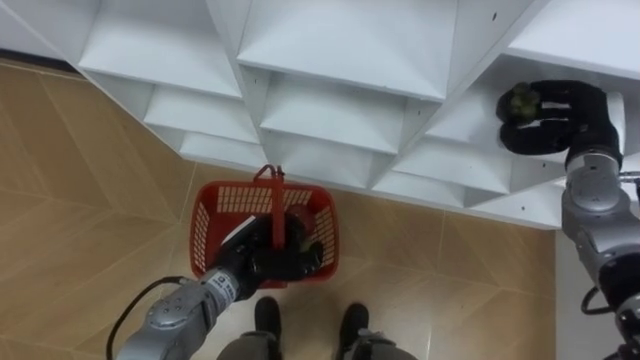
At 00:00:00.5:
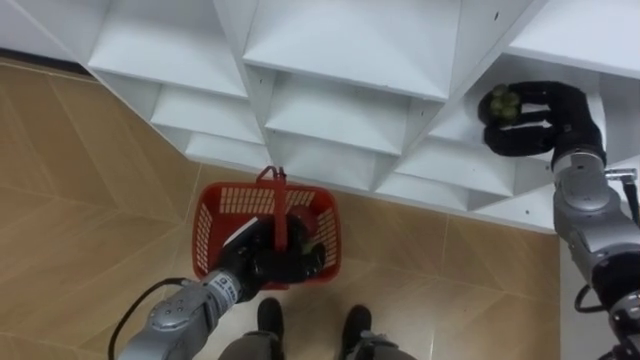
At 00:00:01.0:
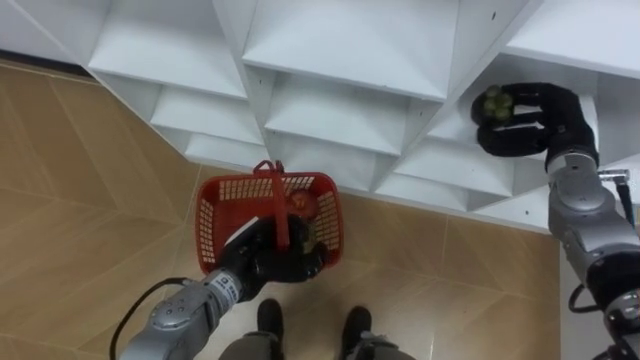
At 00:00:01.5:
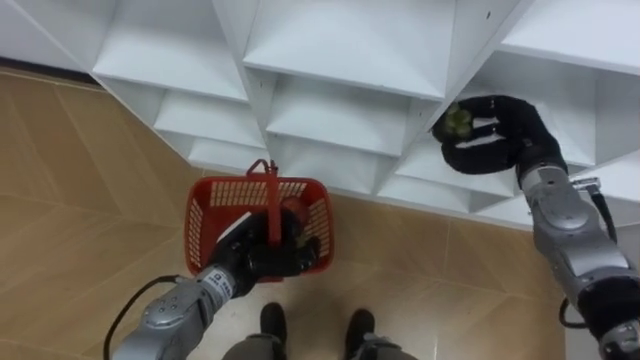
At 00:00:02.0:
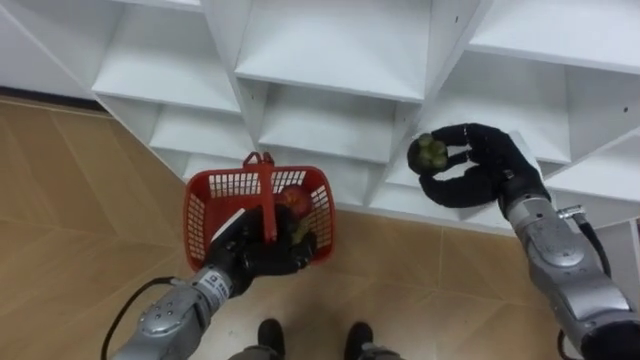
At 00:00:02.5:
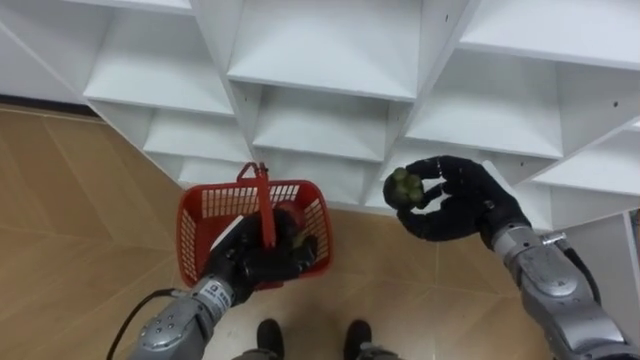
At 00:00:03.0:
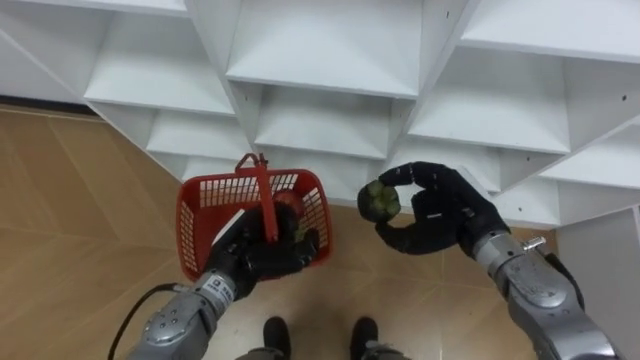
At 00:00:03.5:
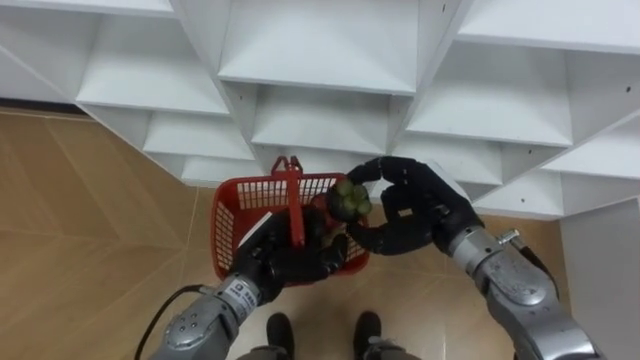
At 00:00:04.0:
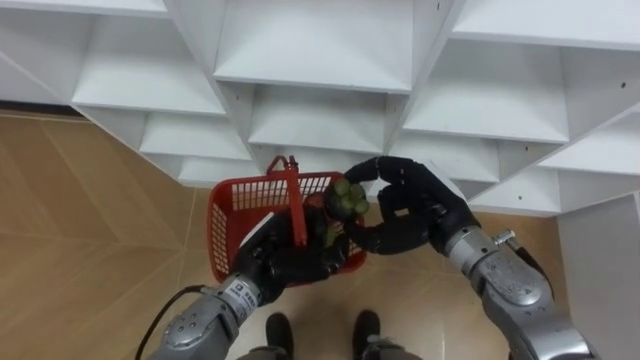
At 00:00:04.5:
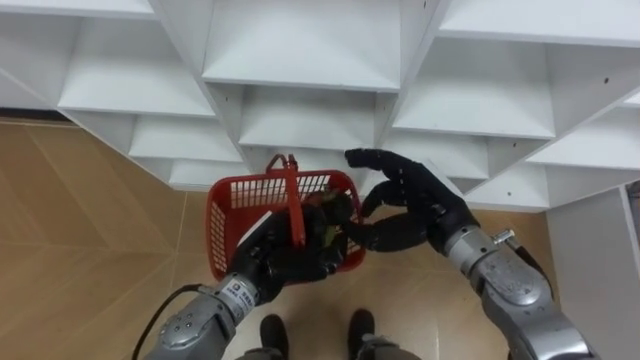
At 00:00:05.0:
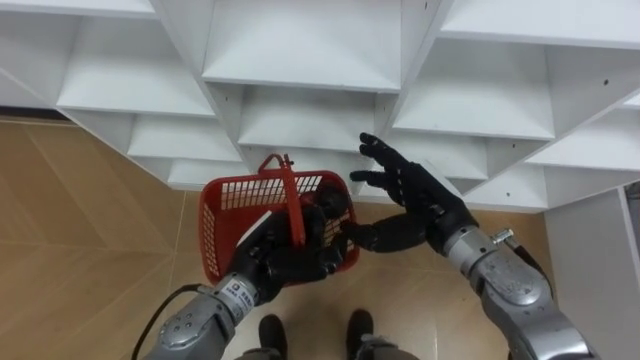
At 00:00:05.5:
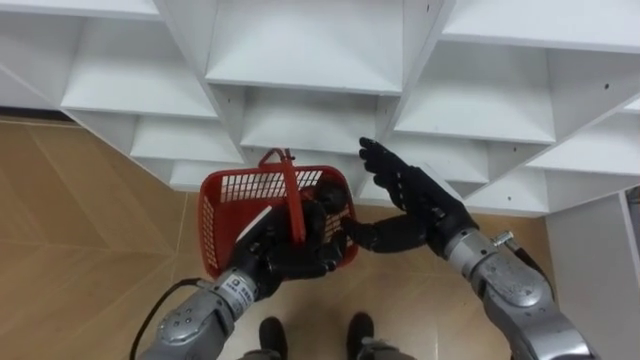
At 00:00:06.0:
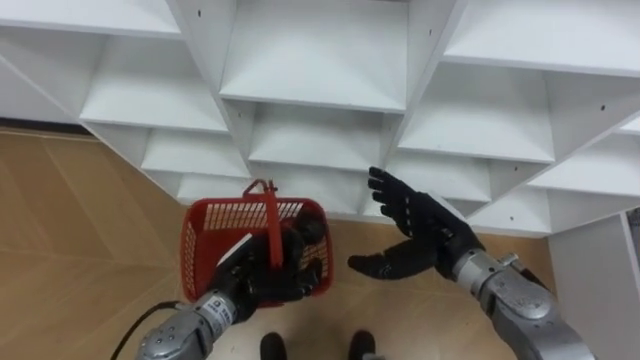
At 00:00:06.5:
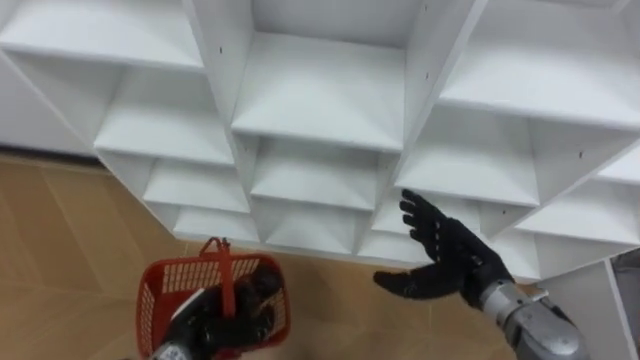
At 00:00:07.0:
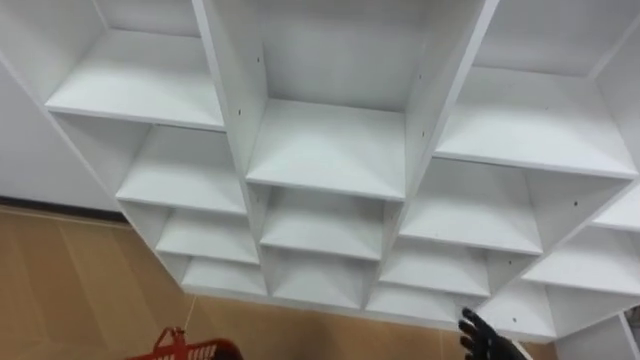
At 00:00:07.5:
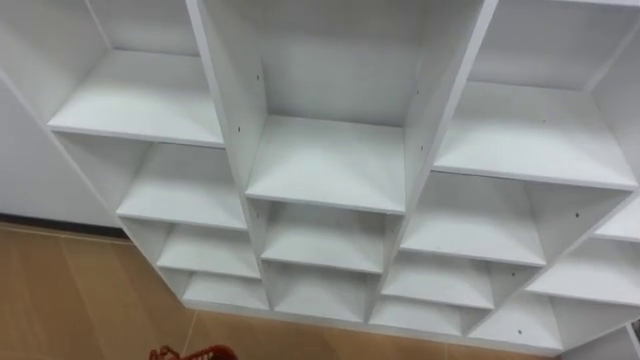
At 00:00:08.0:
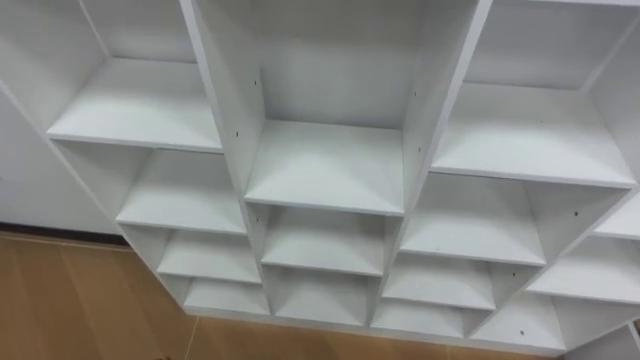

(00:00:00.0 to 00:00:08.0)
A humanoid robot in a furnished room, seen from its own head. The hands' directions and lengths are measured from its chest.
Task of the whole recording: Hold the basket and collect the fruits from 3 different cells of the closet into it.
00:00:00.0 - 00:00:02.0: The right hand heads to the left, covering roughly 10 cm.
00:00:02.0 - 00:00:04.0: The right hand heads to the left, covering about 10 cm; the left hand moves about 5 cm.
00:00:04.0 - 00:00:06.0: The right hand opens.

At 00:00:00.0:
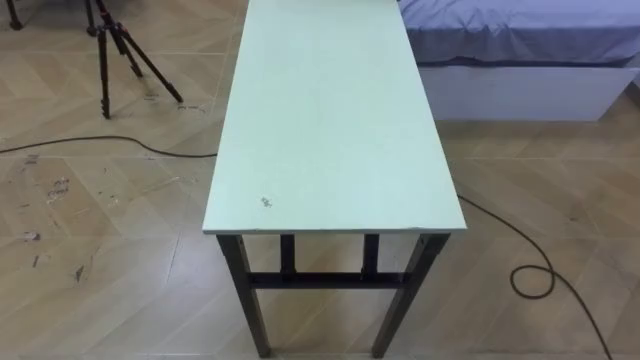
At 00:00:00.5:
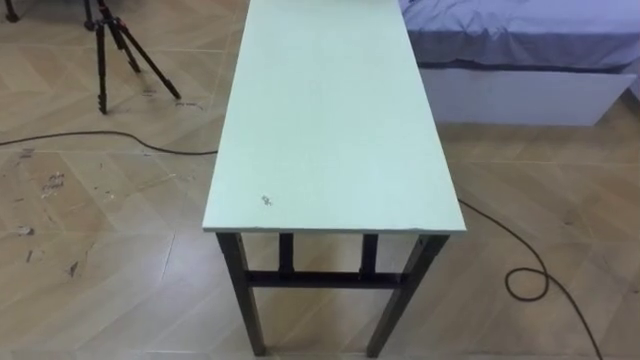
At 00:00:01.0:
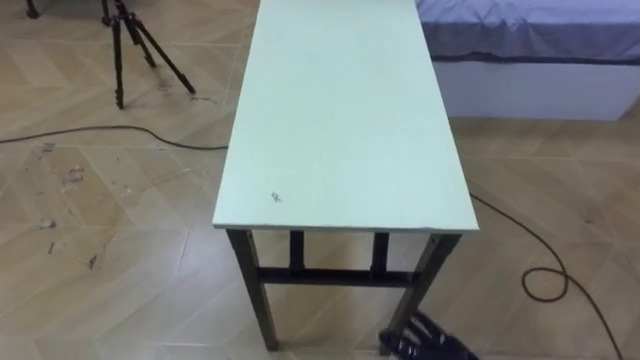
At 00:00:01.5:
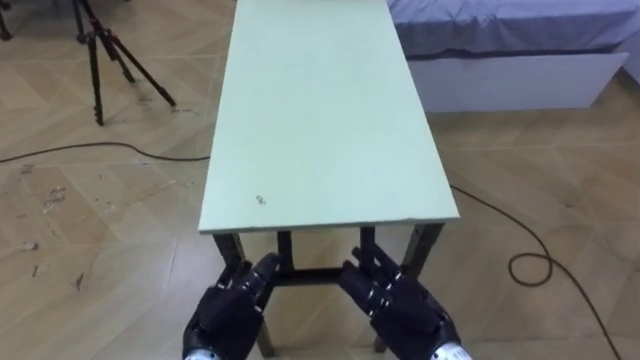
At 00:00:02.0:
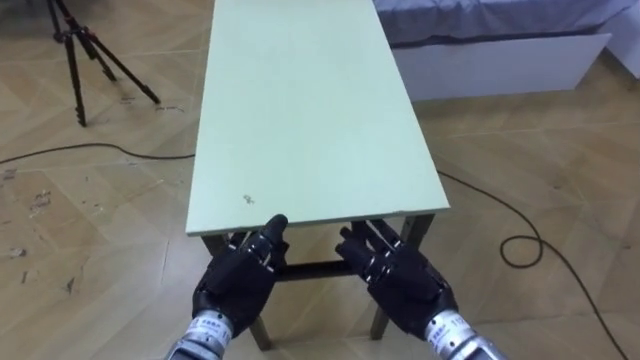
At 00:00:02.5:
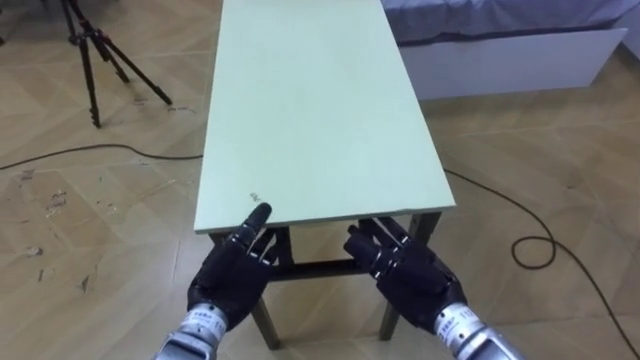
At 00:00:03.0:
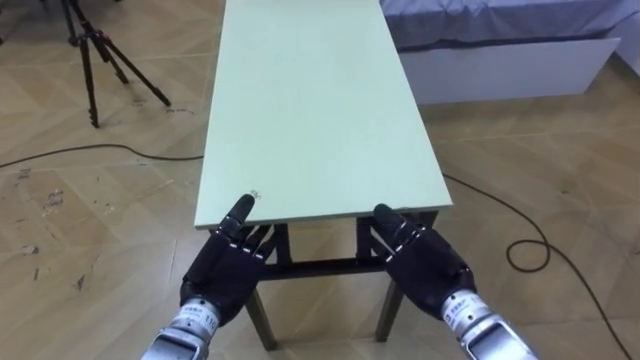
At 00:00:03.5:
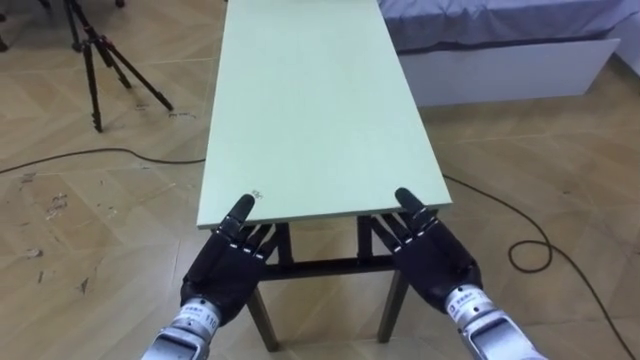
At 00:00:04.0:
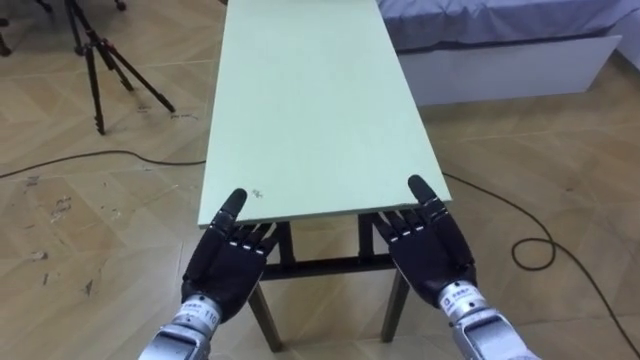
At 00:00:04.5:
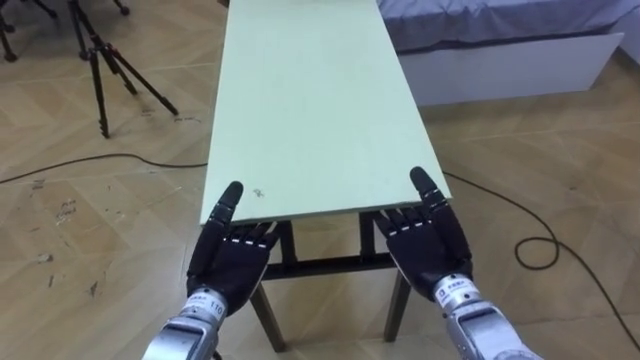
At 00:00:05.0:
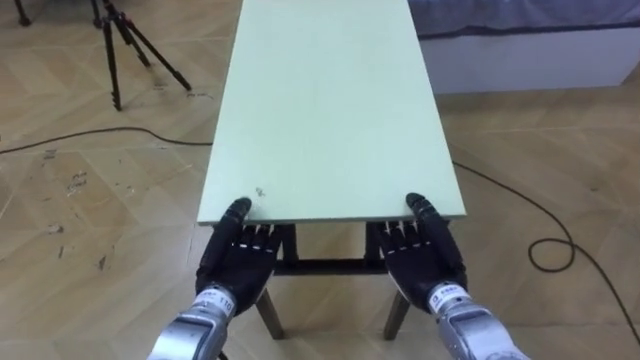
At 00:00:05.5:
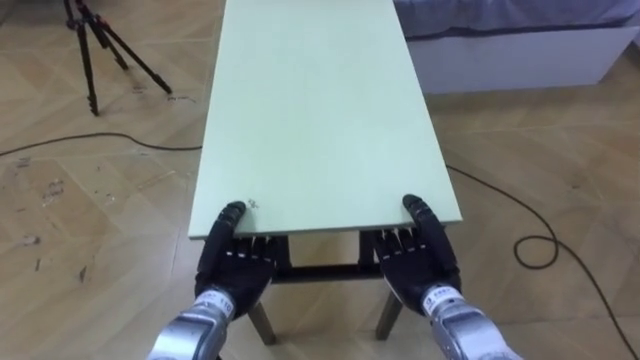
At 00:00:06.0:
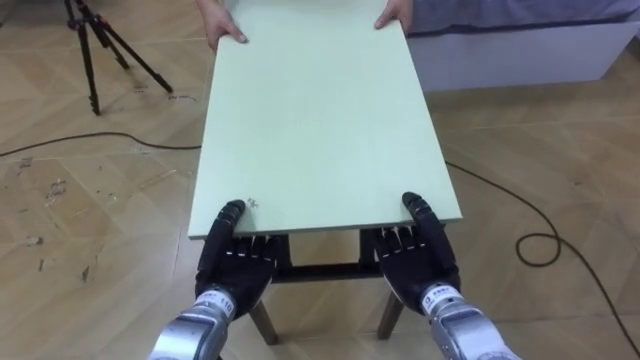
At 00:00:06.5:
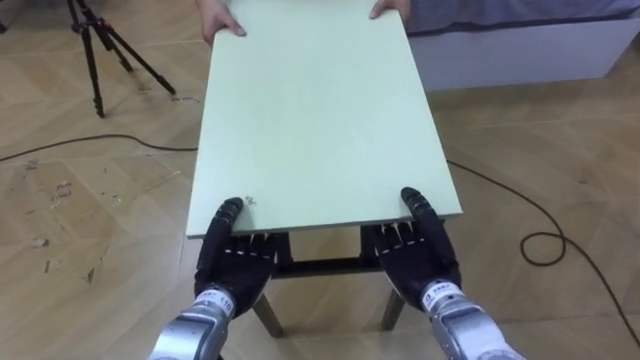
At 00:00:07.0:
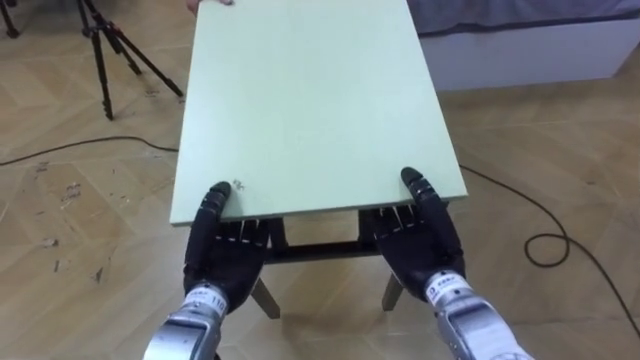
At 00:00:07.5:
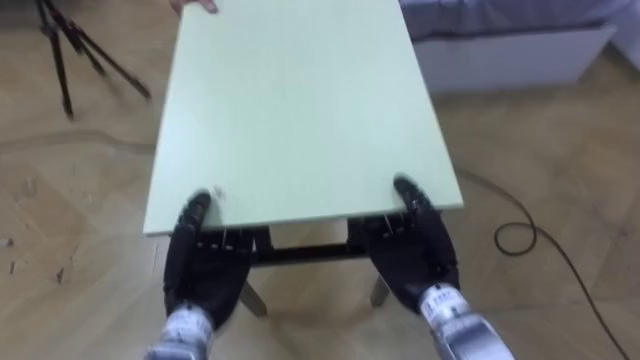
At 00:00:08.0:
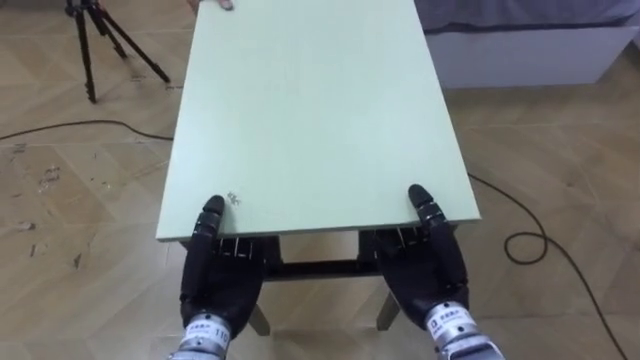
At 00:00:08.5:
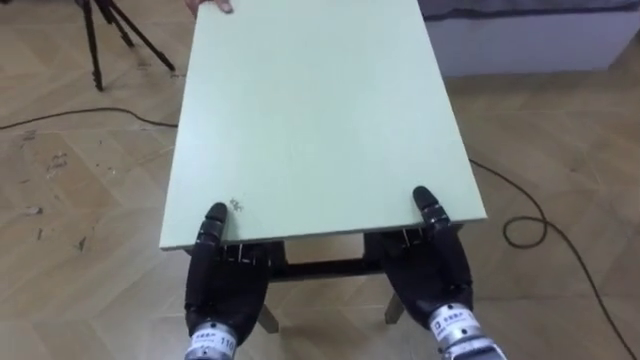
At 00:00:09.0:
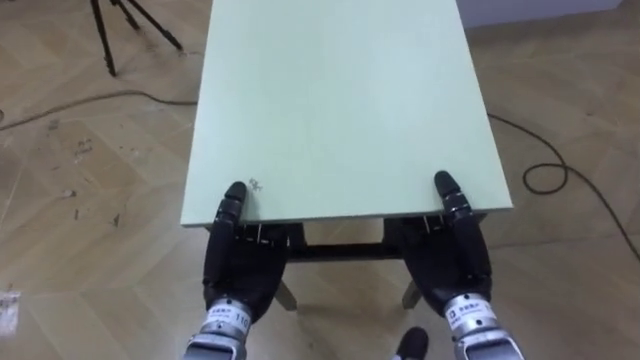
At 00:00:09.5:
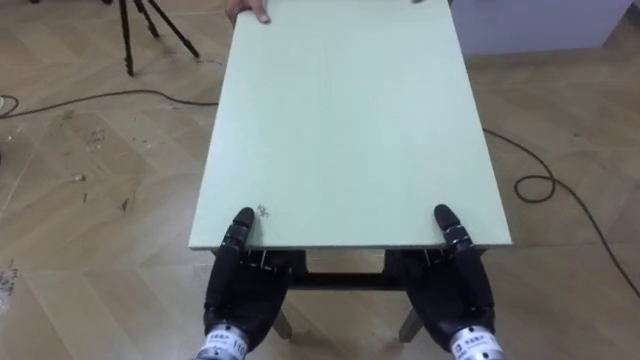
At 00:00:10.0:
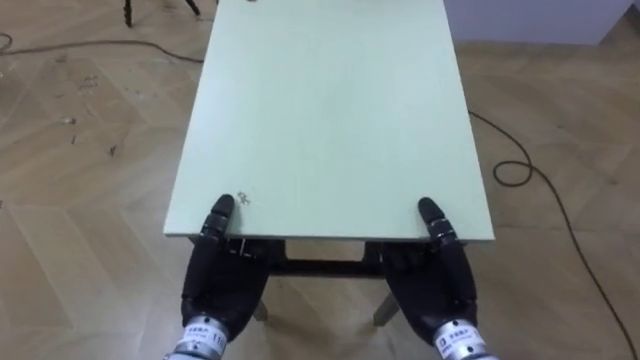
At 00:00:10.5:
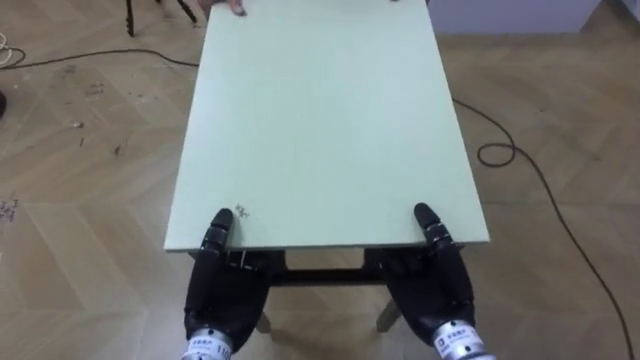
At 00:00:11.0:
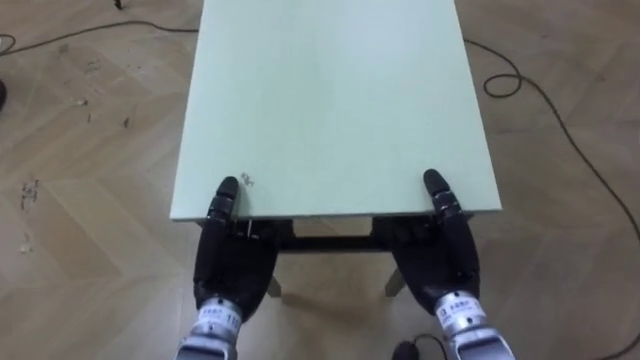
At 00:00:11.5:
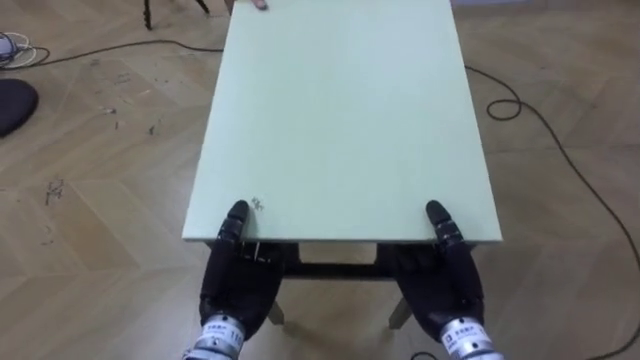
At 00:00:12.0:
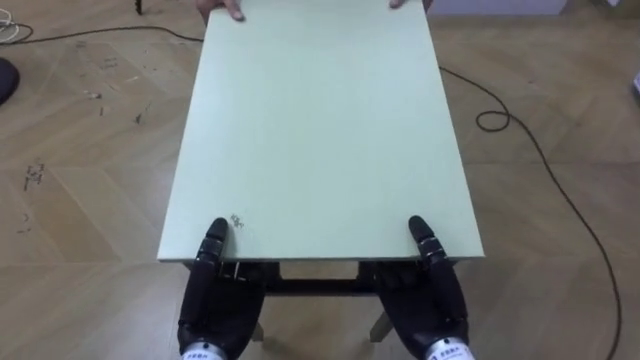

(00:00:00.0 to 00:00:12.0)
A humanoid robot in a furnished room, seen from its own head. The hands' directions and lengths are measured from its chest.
Task of the whole recording: Move the table to the back left with someone.
00:00:04.0 - 00:00:06.0: The left hand closes up, while the right hand closes its fingers.
00:00:06.0 - 00:00:08.0: The left hand moves some 5 cm, while the right hand changes place by approximately 5 cm.
